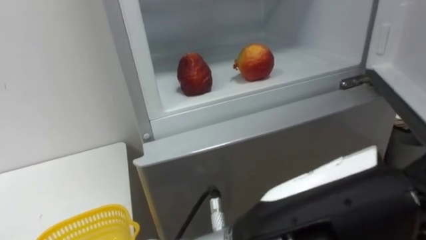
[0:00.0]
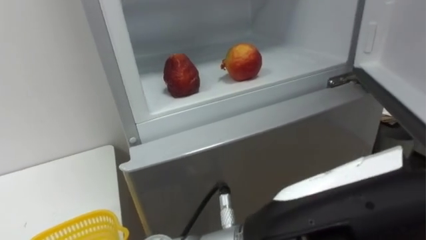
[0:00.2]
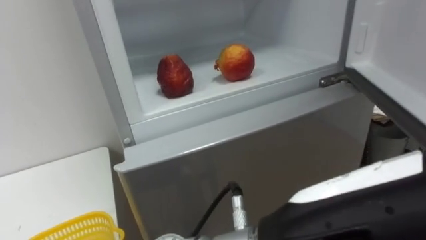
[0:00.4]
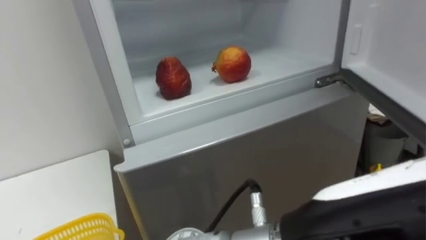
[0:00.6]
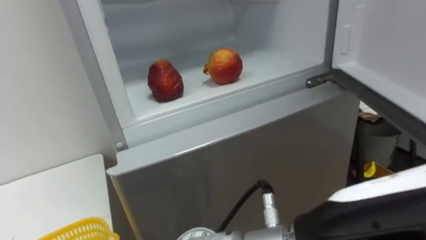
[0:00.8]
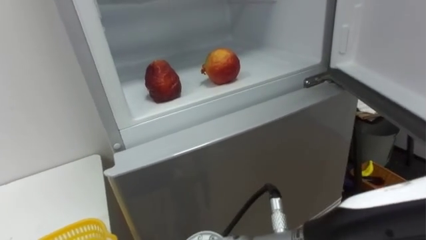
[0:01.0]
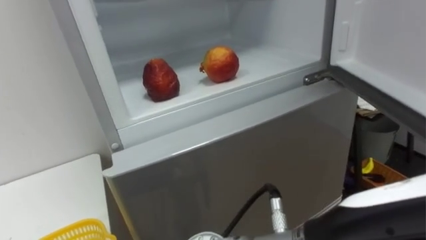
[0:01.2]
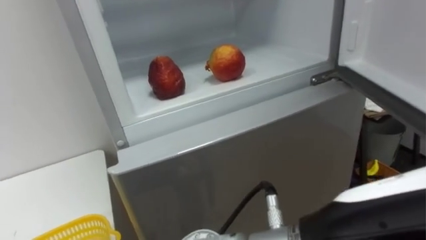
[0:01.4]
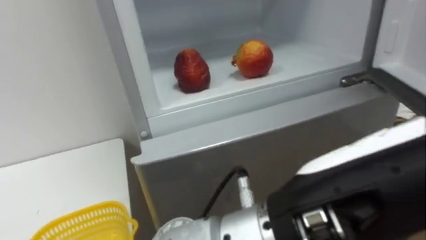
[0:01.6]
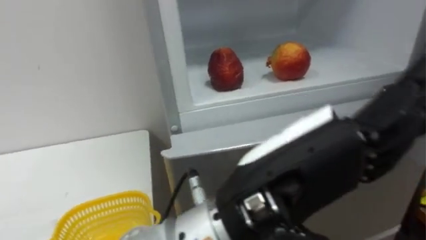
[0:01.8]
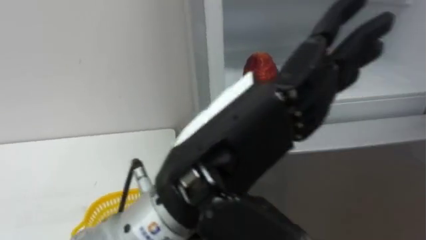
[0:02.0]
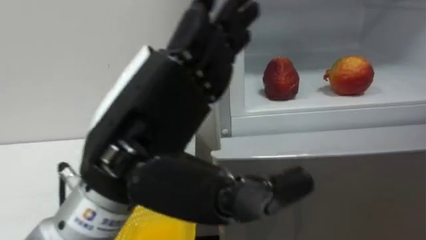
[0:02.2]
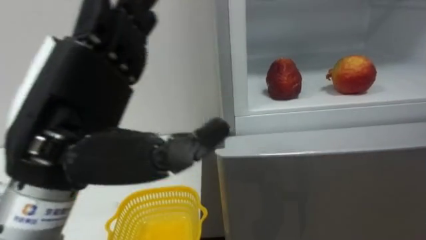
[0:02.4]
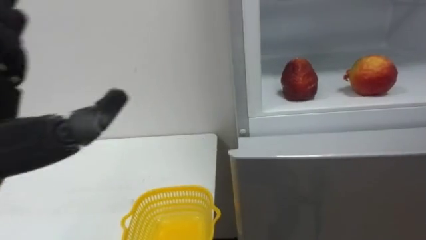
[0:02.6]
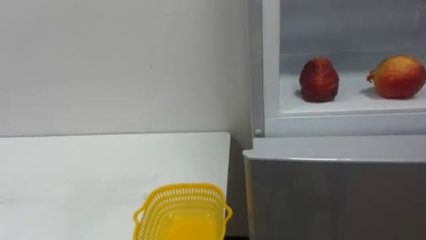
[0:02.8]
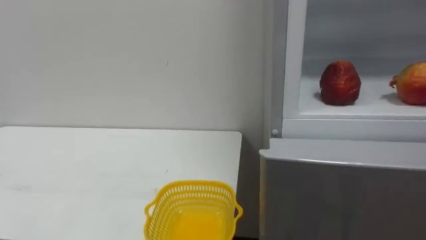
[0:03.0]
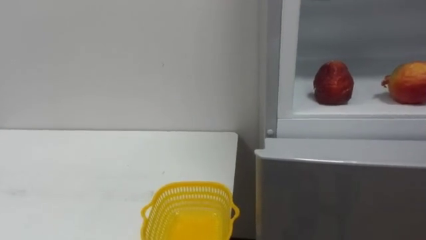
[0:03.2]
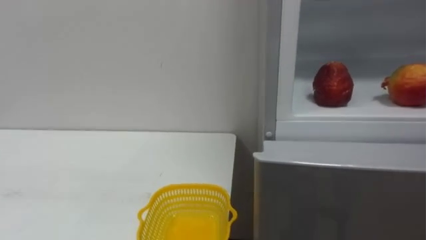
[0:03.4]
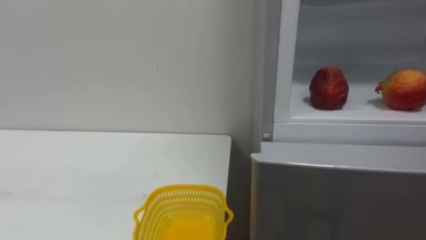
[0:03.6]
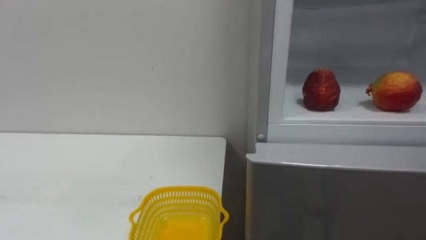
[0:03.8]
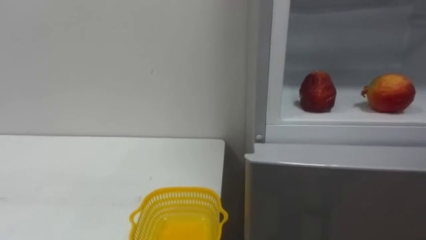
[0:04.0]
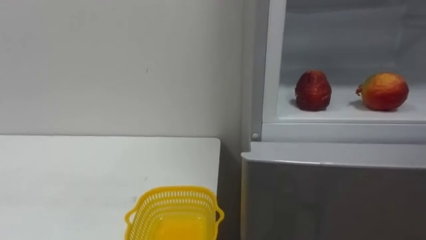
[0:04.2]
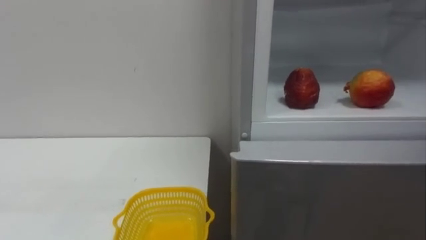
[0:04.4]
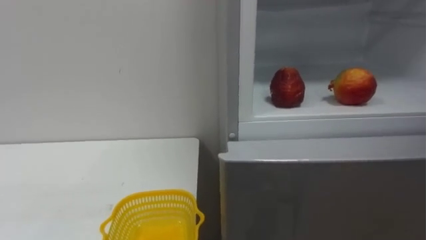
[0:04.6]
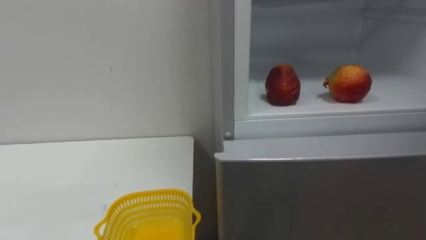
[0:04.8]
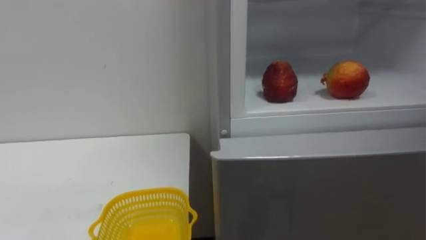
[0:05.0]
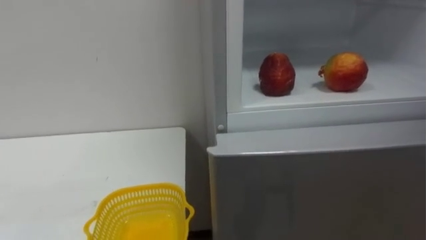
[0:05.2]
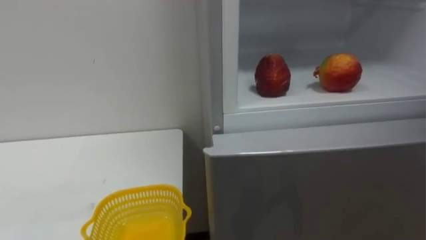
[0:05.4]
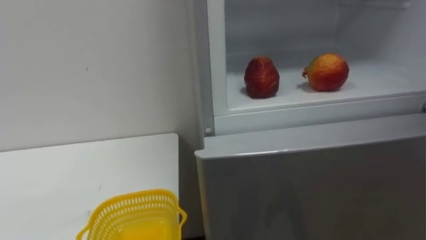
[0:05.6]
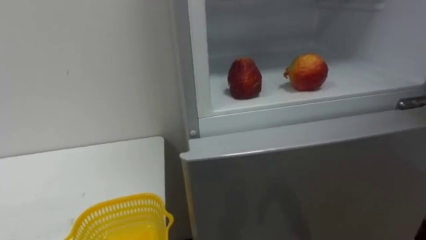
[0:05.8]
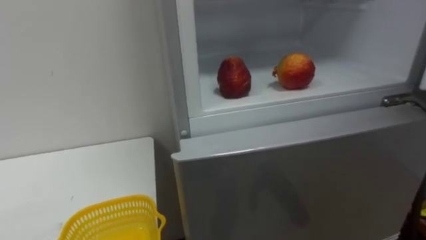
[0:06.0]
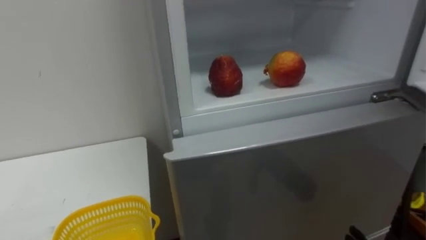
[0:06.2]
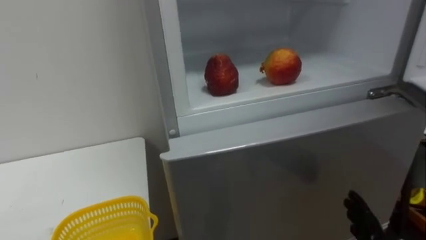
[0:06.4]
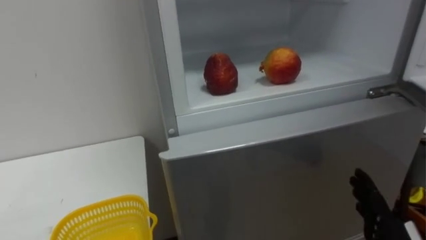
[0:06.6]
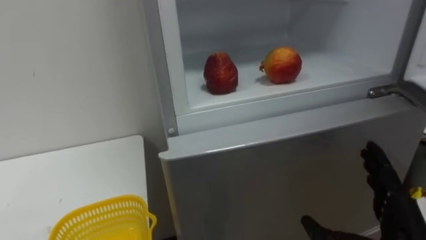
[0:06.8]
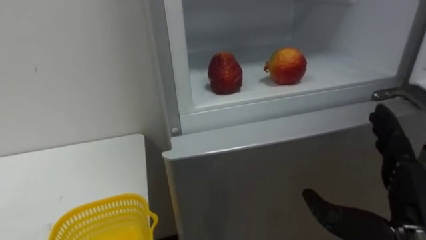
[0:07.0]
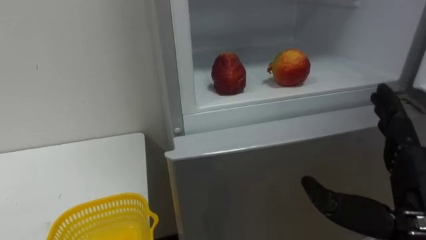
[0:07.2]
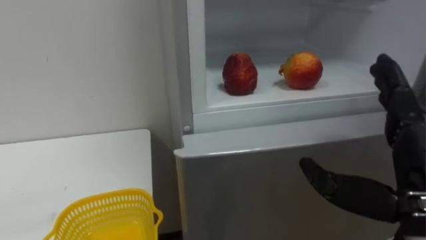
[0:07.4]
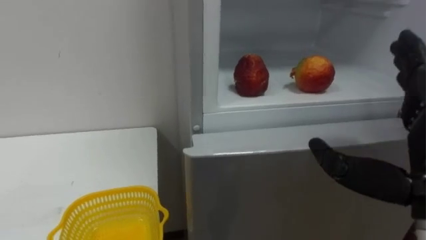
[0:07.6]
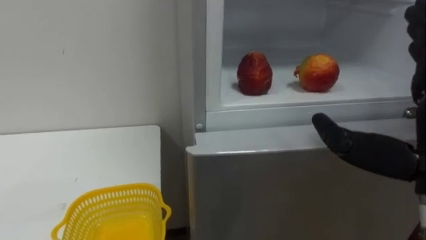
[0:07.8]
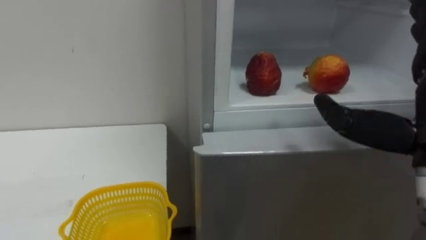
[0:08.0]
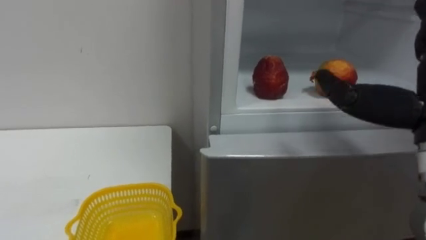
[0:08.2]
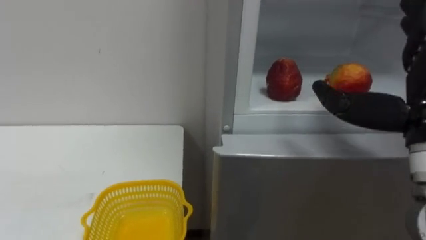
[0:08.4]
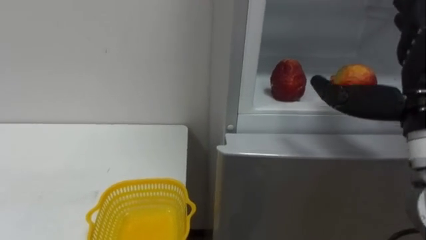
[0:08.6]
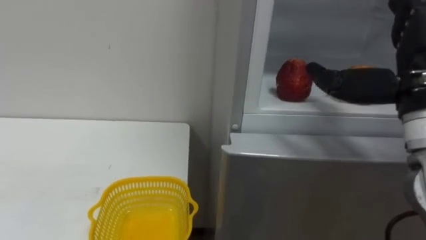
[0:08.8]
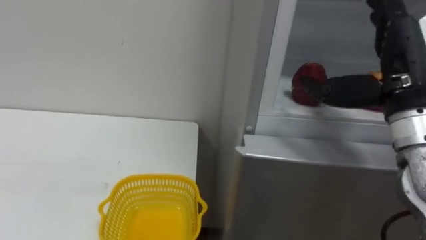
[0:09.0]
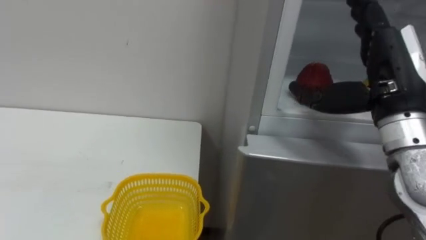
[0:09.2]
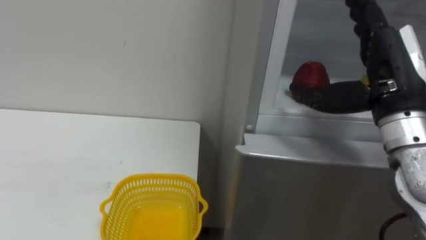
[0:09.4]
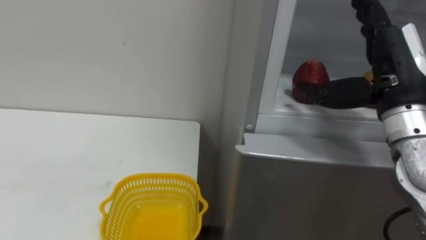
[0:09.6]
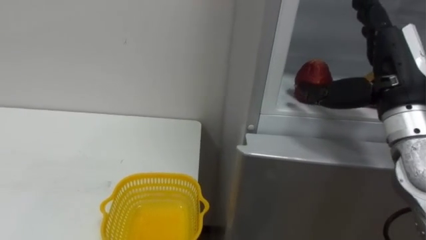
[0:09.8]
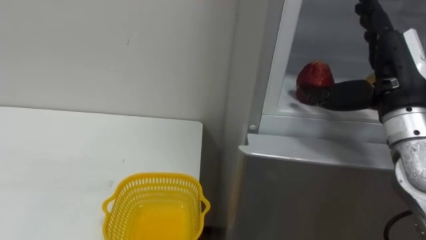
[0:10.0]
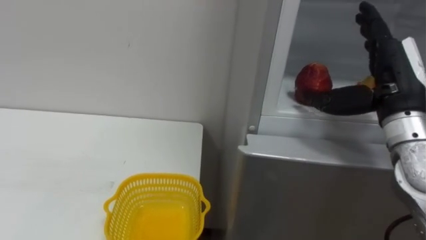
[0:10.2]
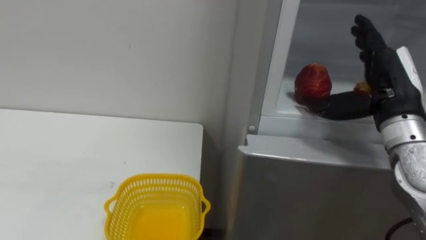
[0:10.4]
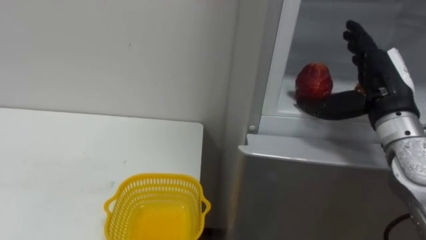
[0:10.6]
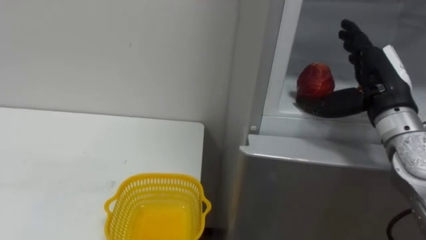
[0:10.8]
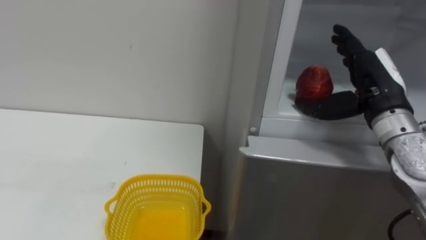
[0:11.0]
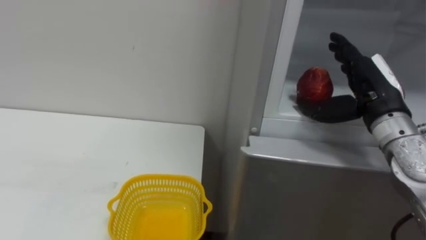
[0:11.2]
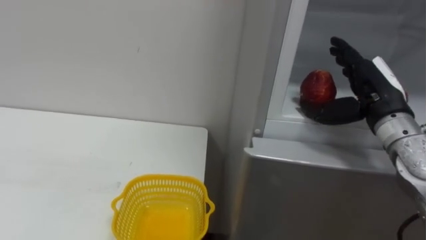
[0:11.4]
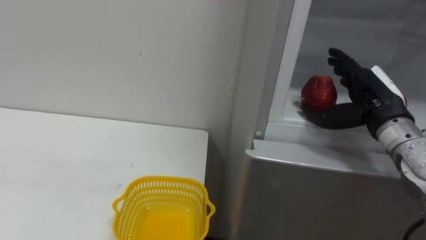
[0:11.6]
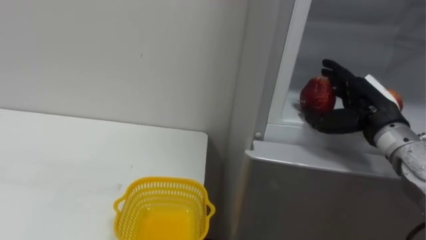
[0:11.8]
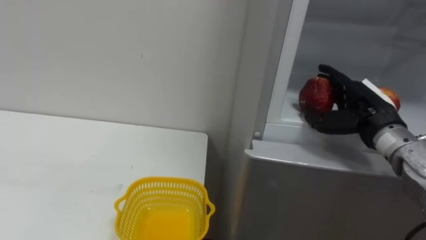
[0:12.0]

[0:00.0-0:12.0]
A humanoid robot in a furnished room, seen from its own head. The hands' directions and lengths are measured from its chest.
Task of the whole recording: Open the refrigerator door, take out the apple and the pomegranate, place them in the fruit basket on the left, and close the refrigerator door.
0:09.0 to 0:10.4: The right hand moves approximately 5 cm.
0:10.4 to 0:12.0: The right hand moves downward, roughly 5 cm.

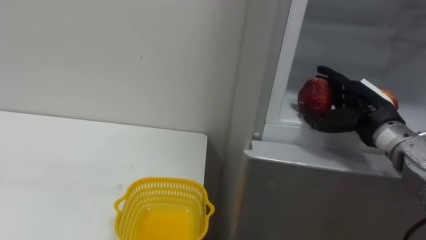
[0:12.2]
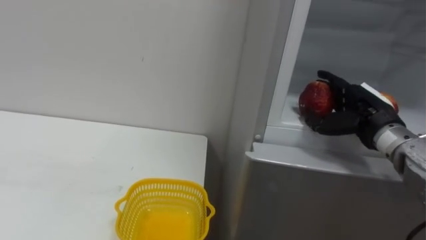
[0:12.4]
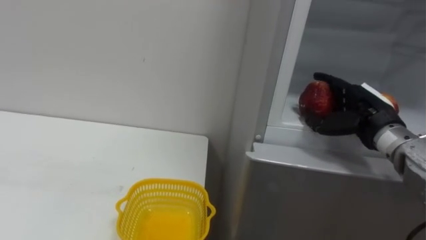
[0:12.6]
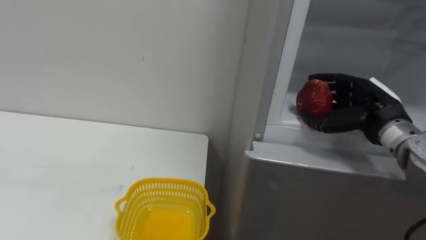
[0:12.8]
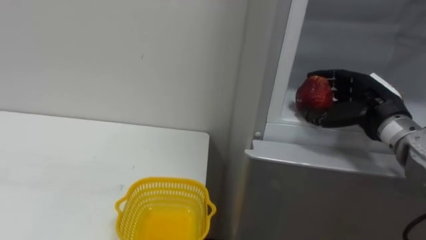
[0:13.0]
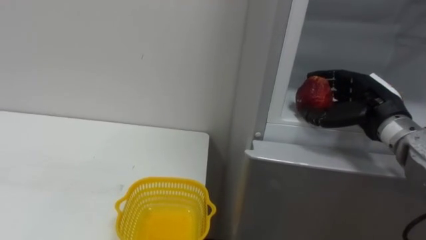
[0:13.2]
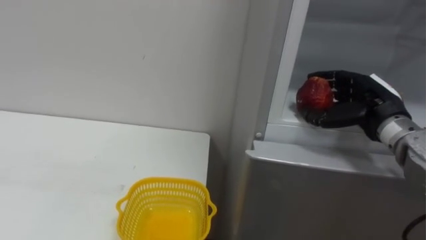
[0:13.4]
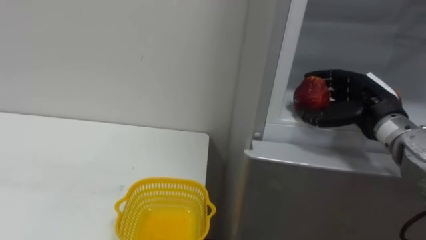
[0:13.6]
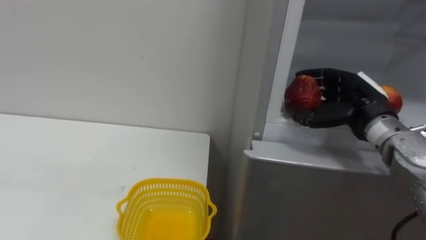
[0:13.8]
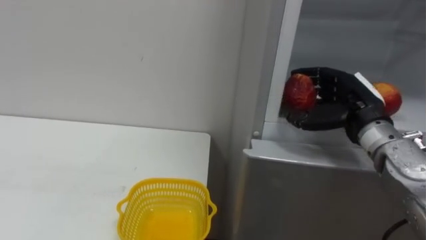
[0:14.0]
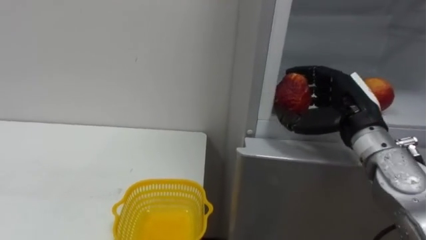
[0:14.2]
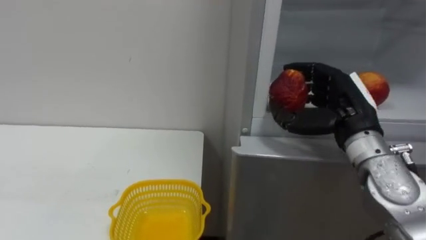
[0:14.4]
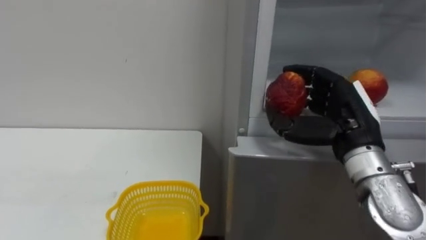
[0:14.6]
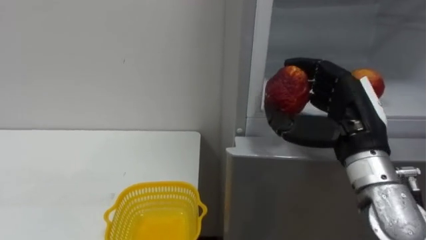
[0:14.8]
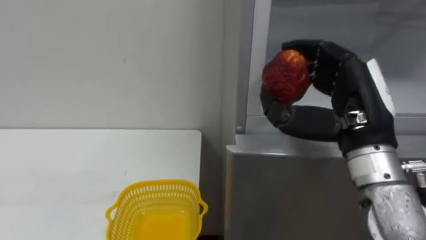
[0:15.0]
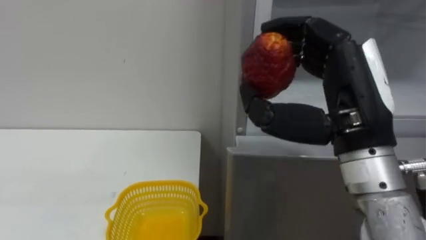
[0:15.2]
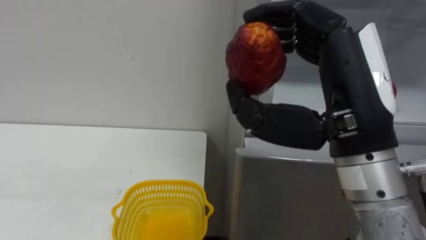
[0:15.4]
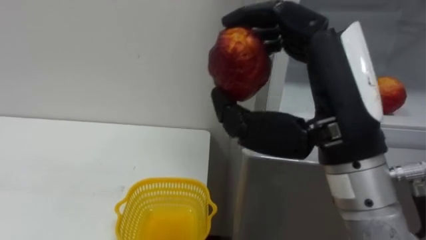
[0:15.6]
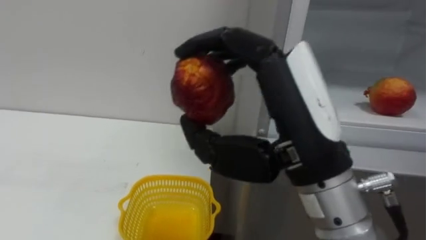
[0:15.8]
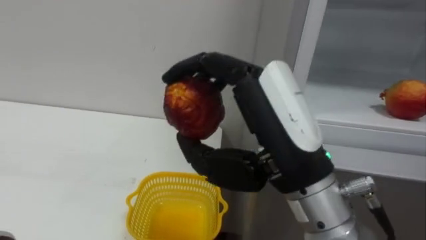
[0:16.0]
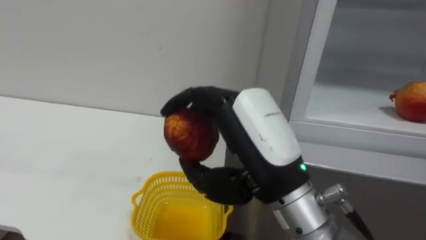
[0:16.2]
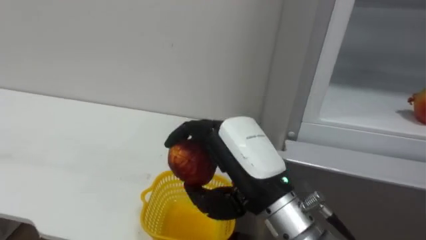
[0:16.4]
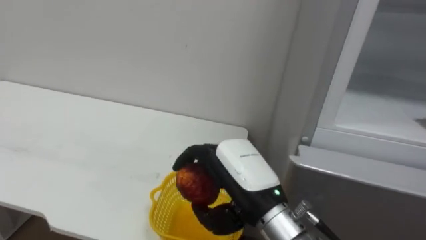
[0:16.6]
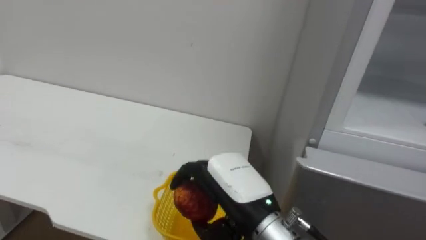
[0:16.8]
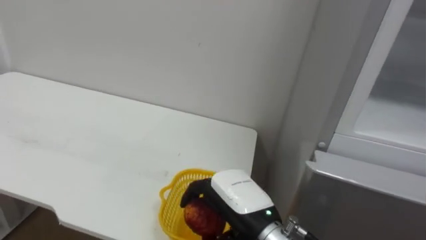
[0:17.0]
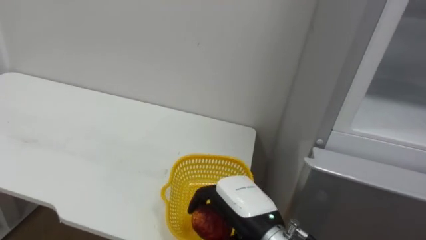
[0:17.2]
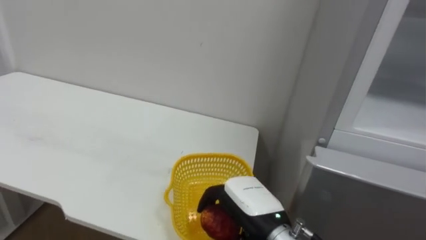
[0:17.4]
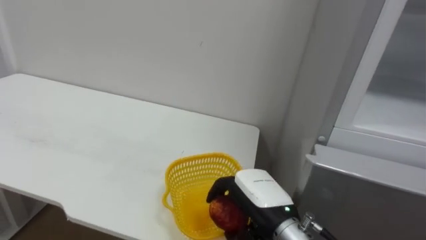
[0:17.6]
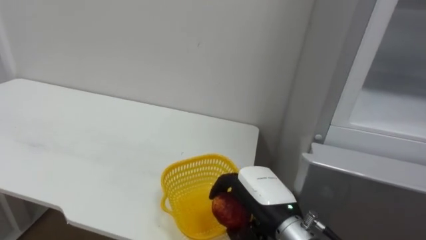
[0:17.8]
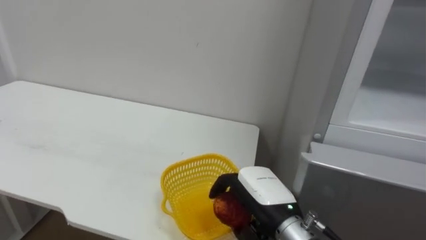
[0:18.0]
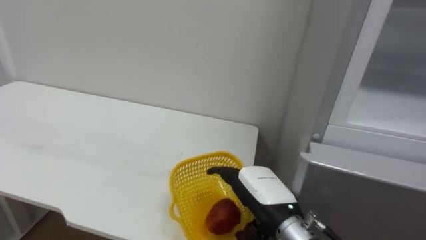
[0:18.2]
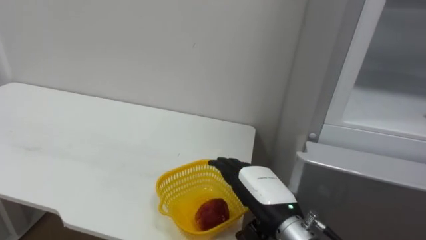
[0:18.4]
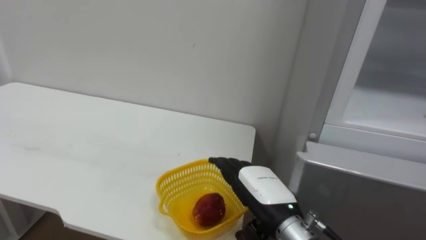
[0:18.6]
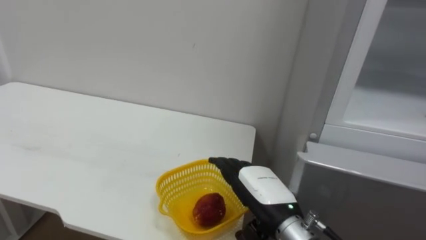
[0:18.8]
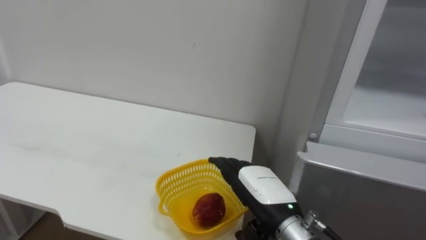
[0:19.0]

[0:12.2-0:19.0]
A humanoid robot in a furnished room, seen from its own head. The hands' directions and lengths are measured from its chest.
Task of the whole recording: Open the refrigerator door, take out the apple and the pomegranate, place them in the fruit basket on the left, and close the refrigerator door.
0:12.2 to 0:13.6: The right hand closes its fingers.
0:13.6 to 0:15.0: The right hand heads backward, to the left and upward, covering about 15 cm.
0:15.0 to 0:16.2: The right hand goes approximately 15 cm to the left and backward.
0:16.2 to 0:17.6: The right hand heads downward, covering some 15 cm.
0:17.6 to 0:19.0: The right hand opens its fingers.
